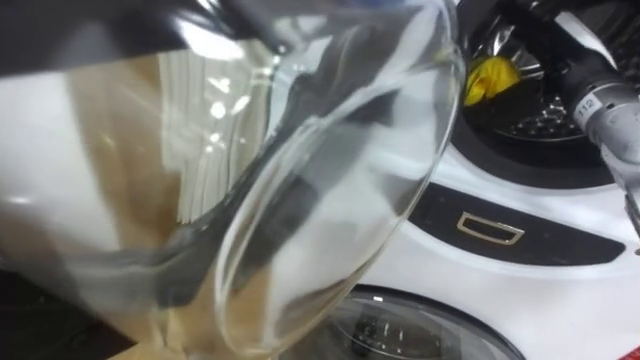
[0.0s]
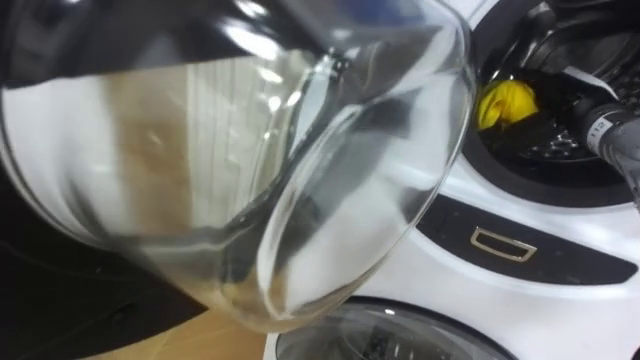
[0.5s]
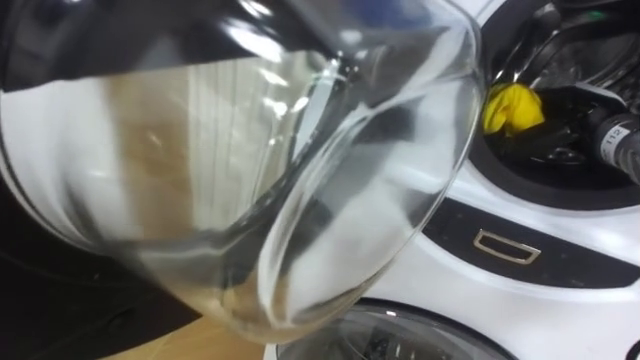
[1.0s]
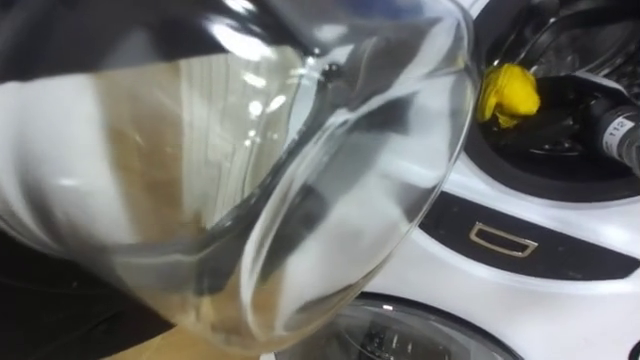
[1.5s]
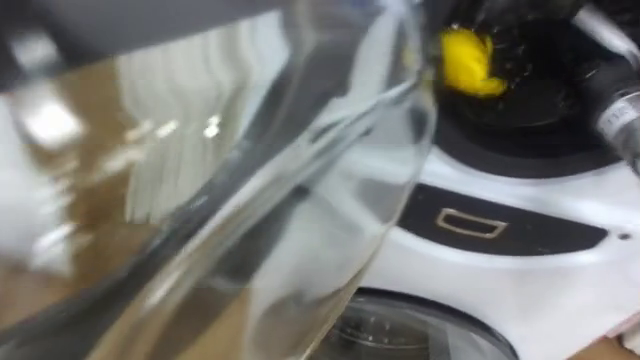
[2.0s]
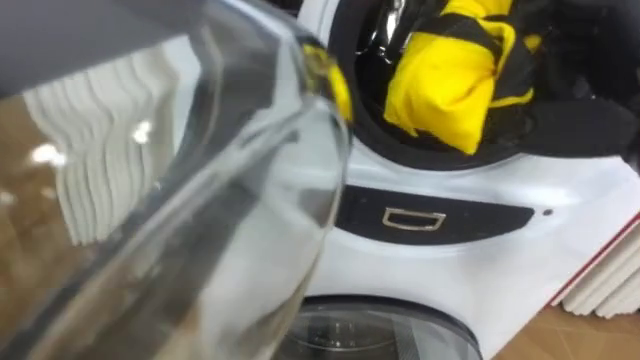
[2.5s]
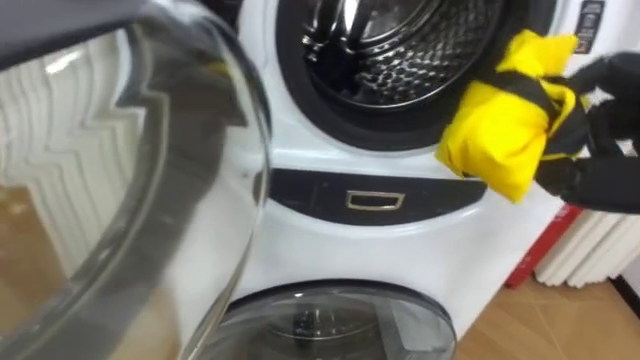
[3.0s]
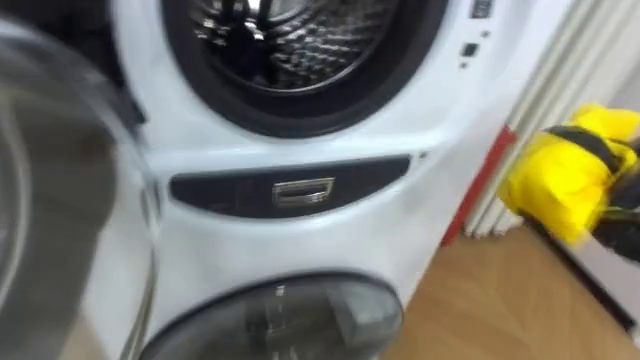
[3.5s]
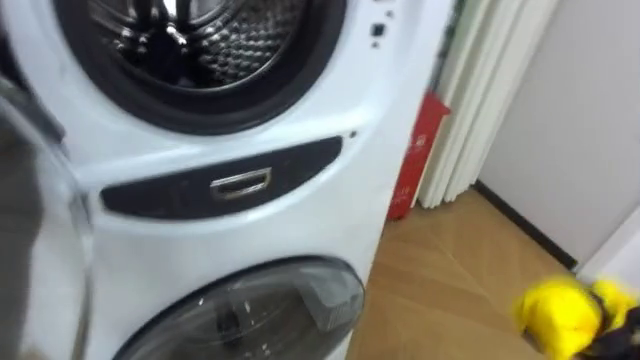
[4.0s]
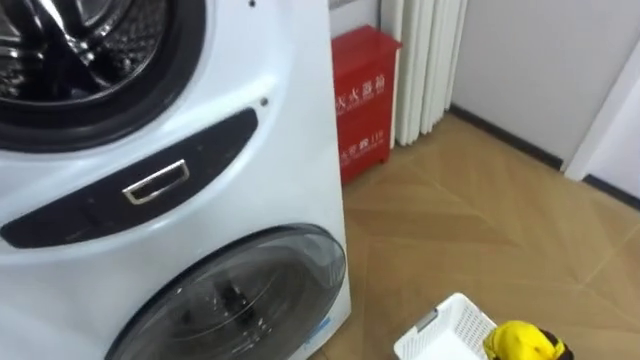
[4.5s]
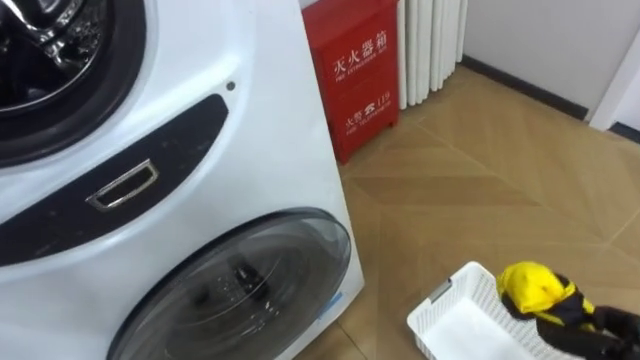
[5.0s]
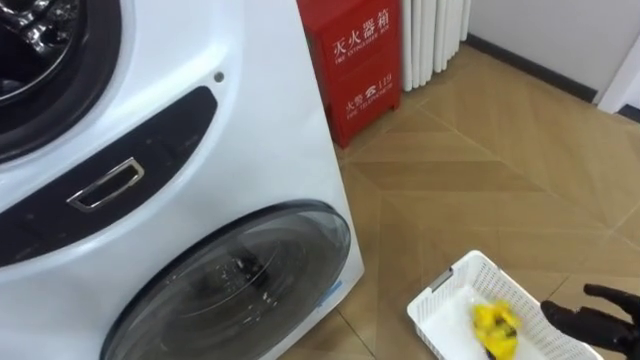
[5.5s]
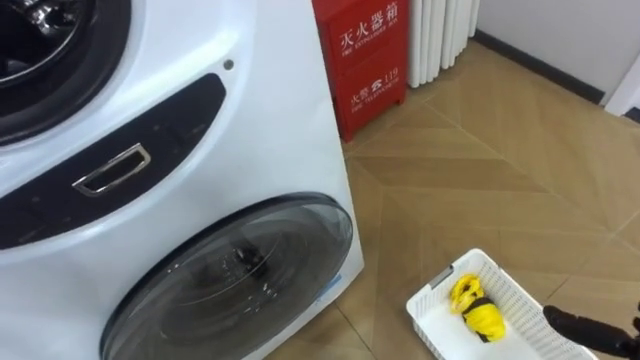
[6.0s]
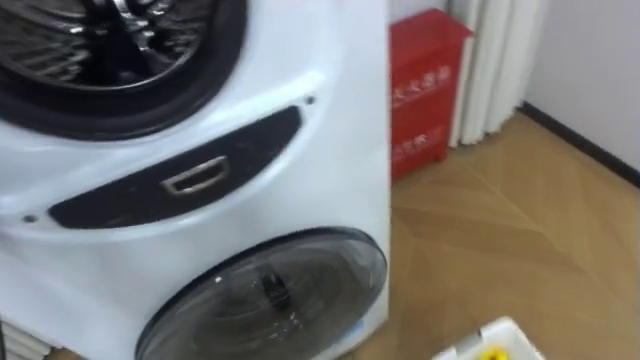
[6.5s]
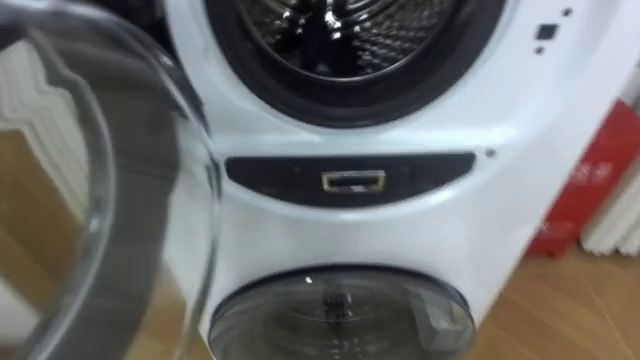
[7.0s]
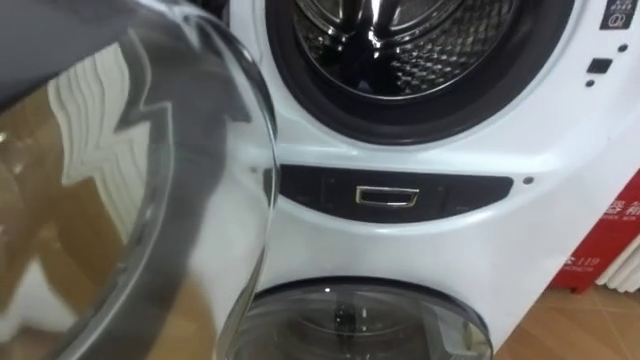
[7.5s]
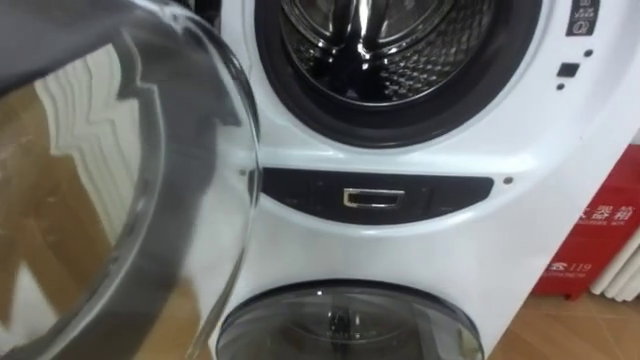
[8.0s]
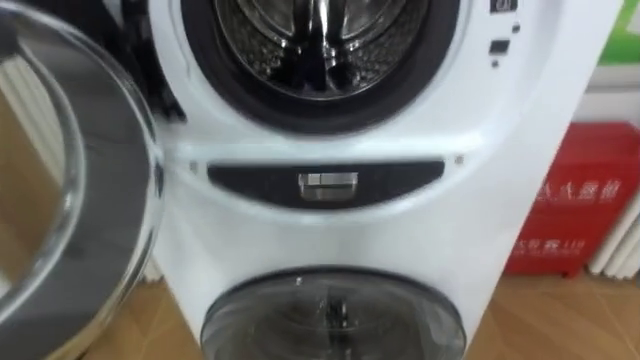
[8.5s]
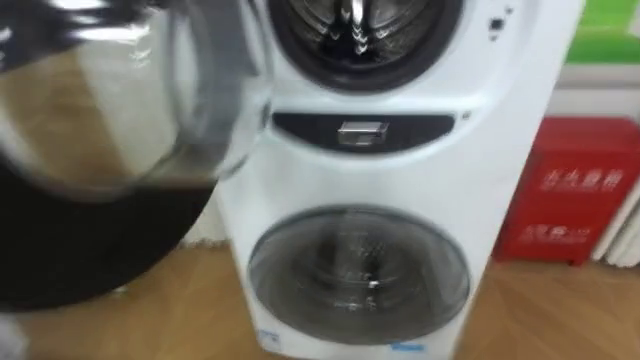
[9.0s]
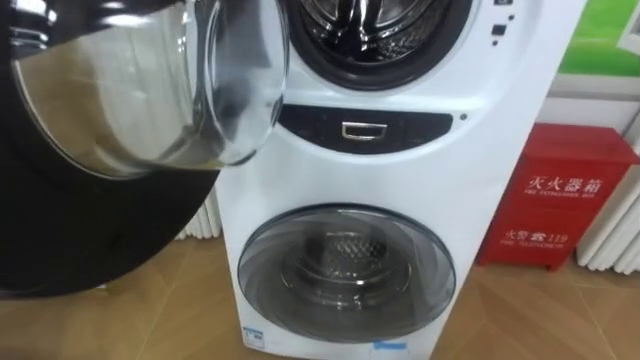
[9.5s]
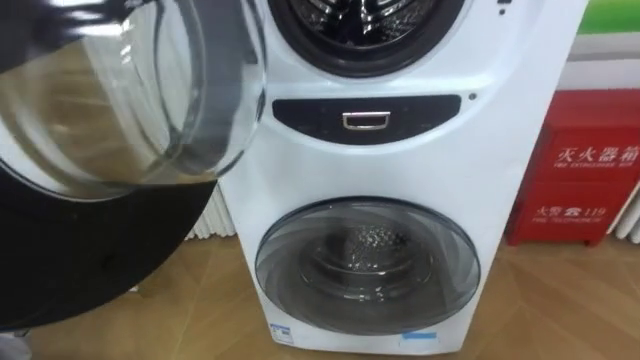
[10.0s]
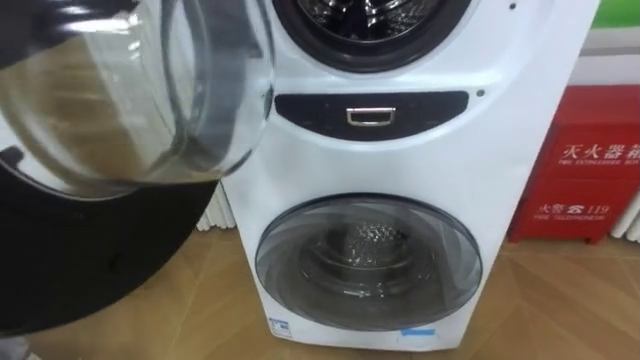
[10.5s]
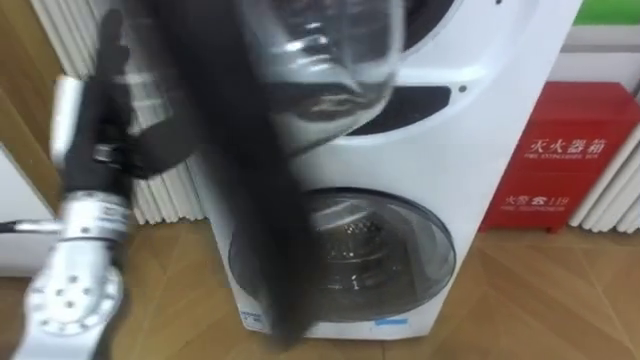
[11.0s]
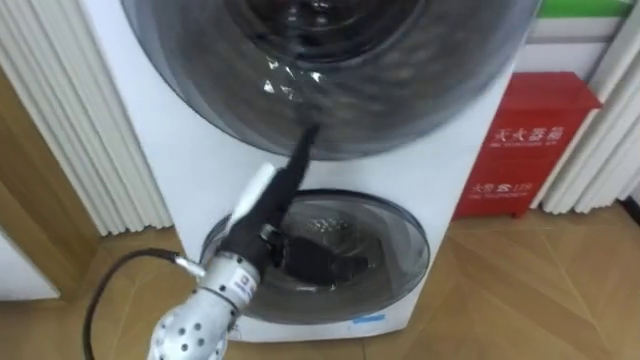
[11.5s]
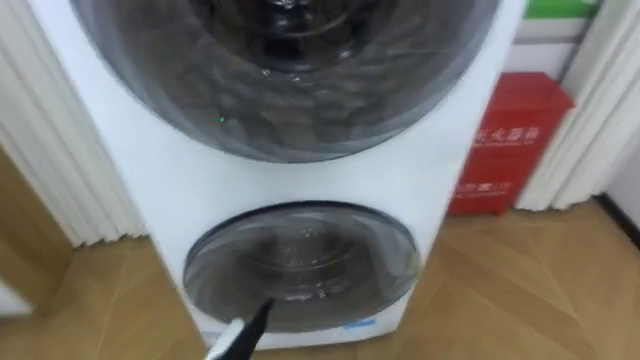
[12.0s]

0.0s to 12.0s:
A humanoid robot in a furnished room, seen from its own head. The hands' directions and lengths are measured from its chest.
Task of the whole recording: Open the washing machine door, take out the yellow clothes, place them in the box on the right, and close the washing machine door.
0.0s to 2.0s: The right hand moves some 10 cm downward and comes back, and closes.

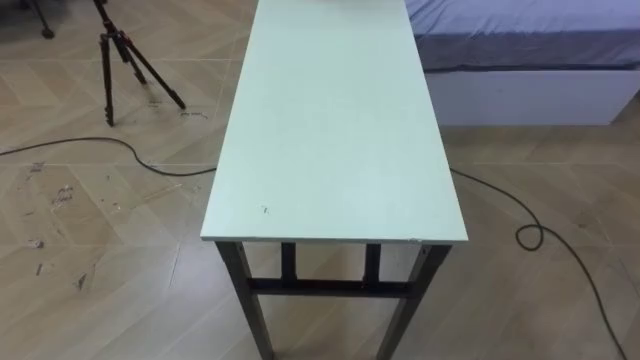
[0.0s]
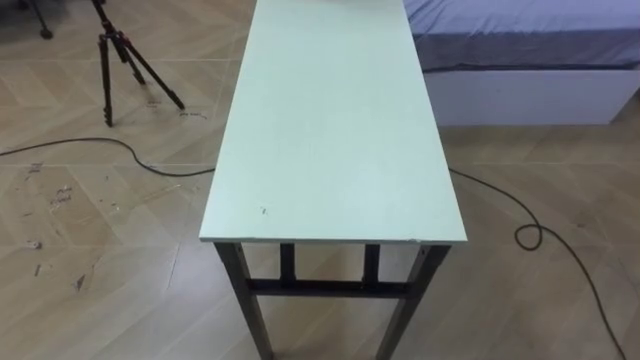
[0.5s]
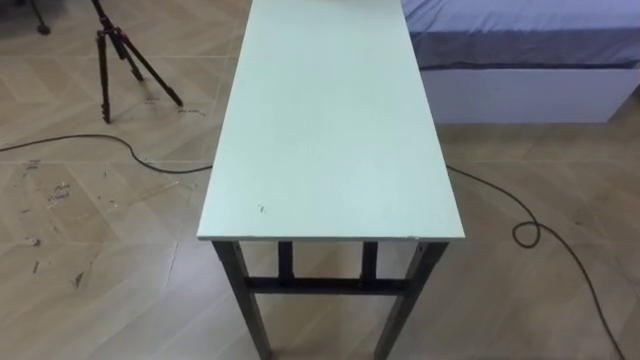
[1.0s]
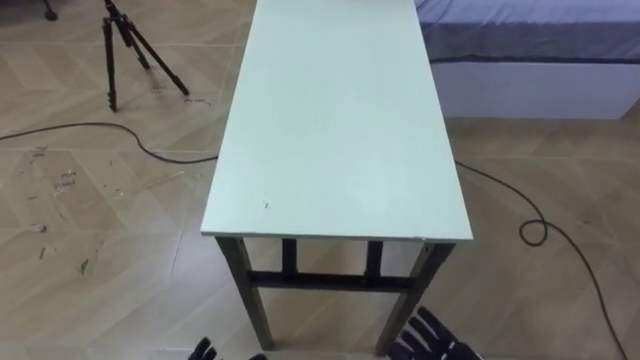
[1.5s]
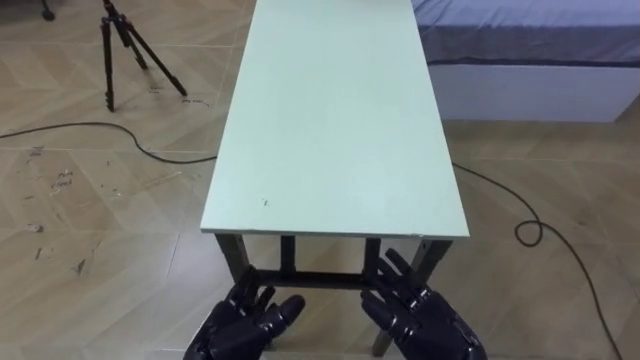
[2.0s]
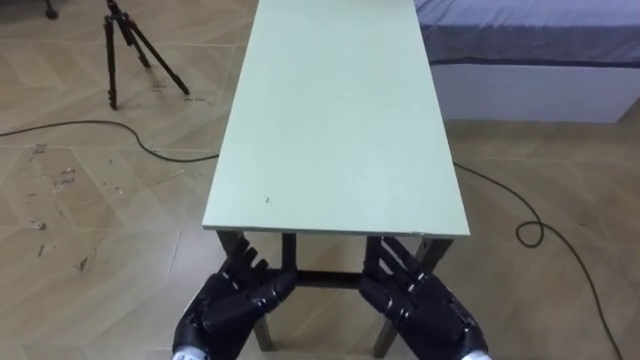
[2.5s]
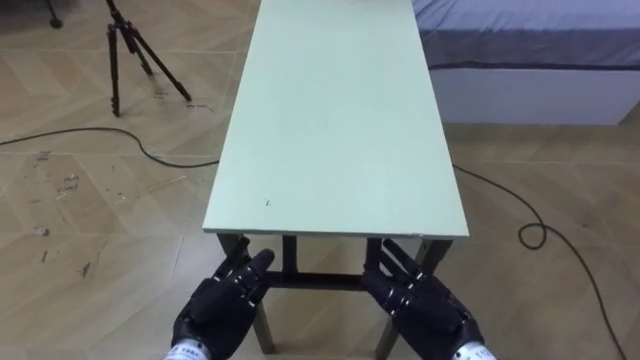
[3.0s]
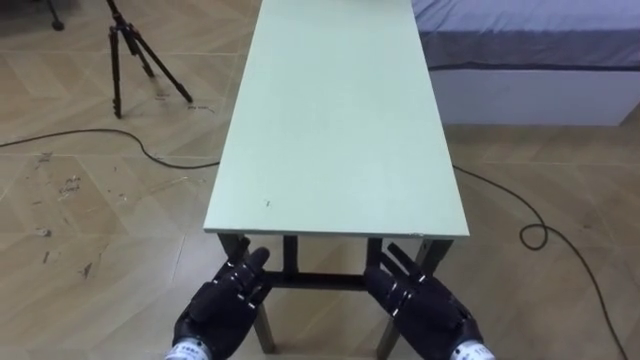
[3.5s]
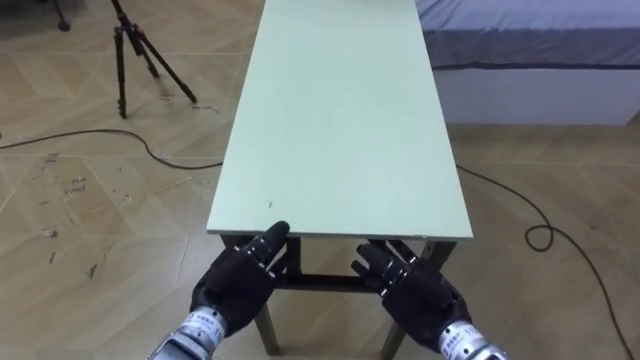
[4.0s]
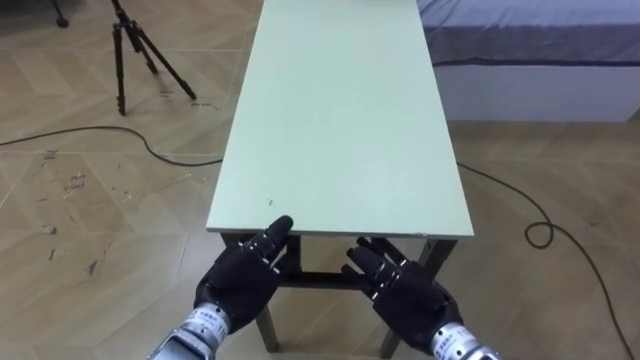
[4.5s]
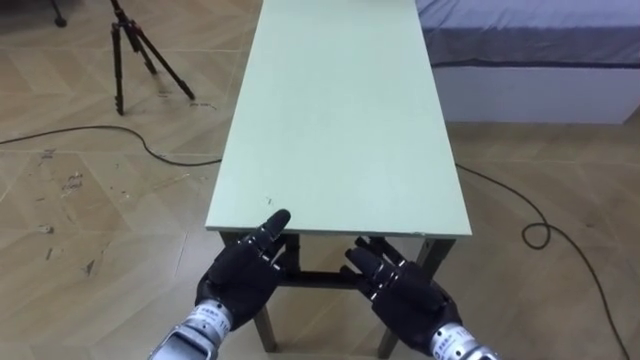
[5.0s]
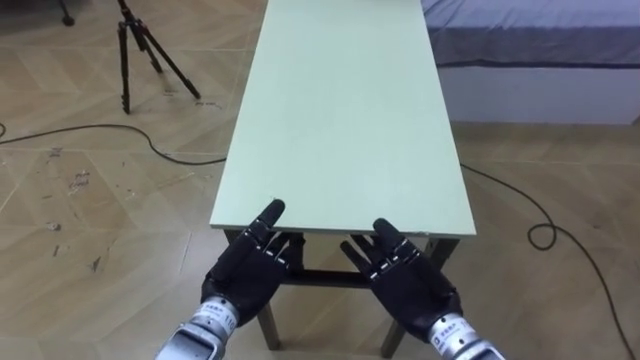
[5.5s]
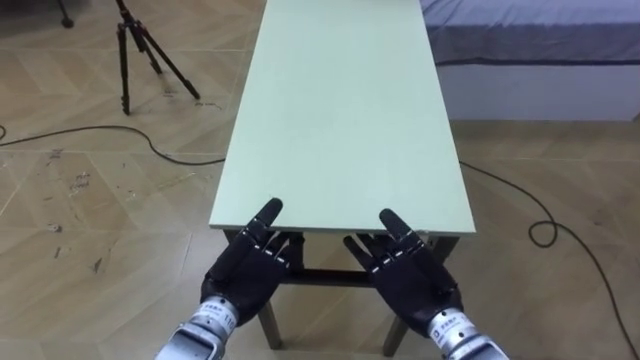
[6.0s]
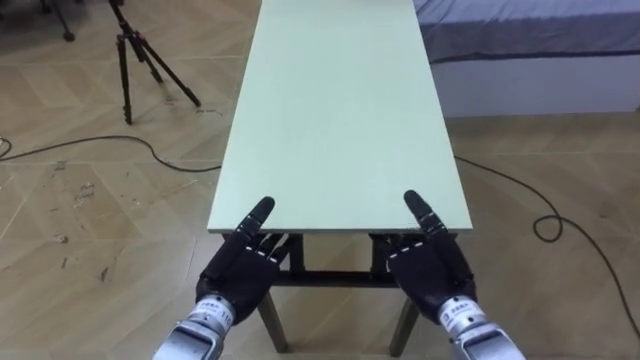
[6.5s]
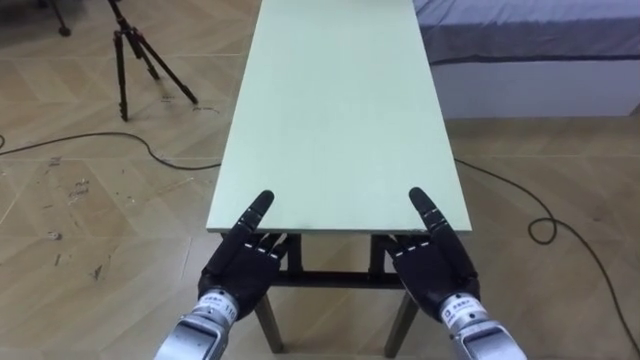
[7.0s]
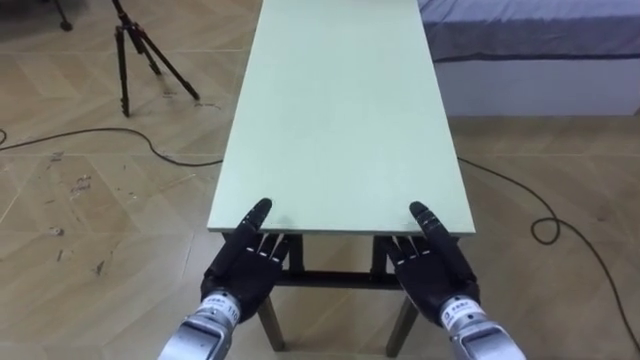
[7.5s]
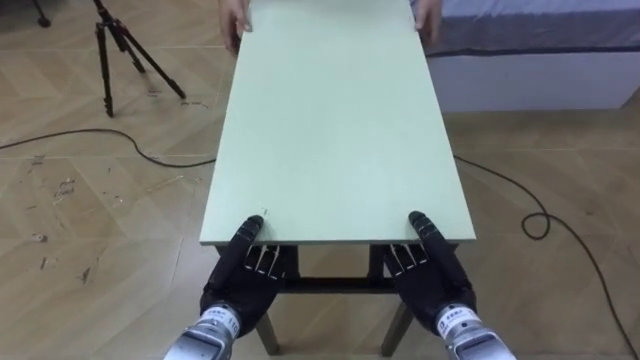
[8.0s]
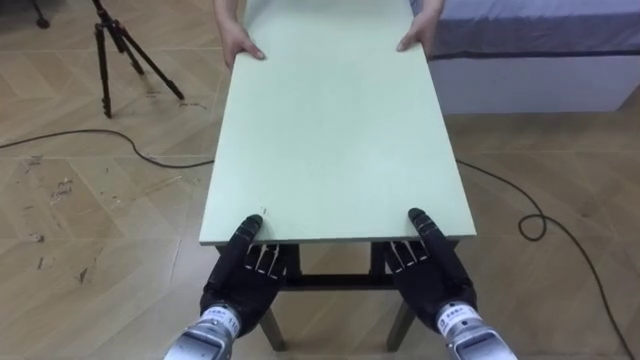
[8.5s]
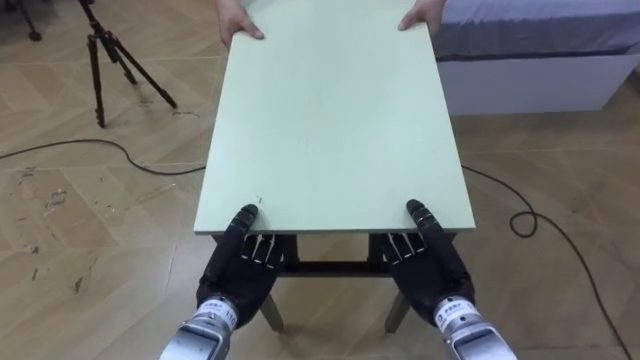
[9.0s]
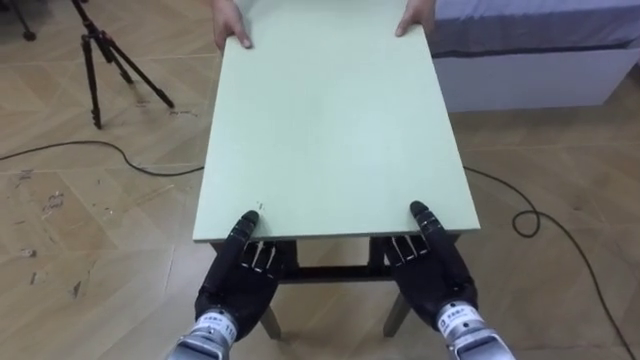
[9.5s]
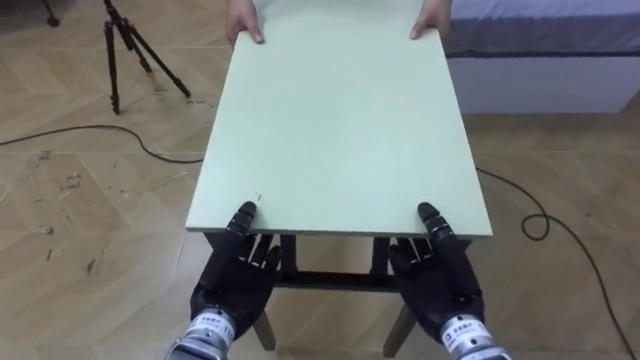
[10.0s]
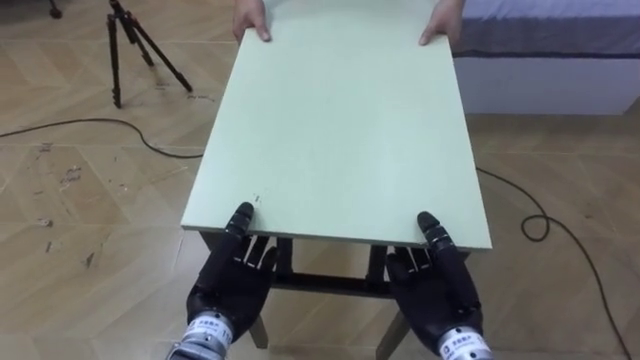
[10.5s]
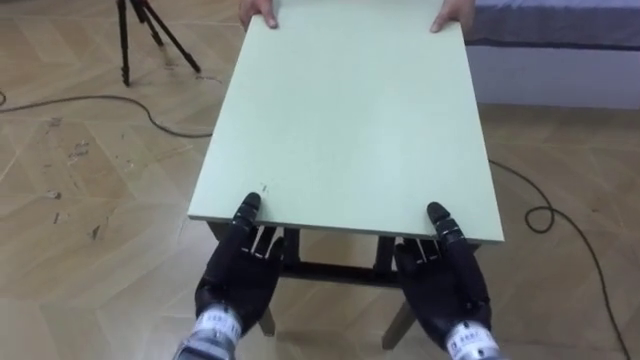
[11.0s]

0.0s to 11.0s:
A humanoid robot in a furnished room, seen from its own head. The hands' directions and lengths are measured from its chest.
Task of the whole recording: Move the table to the back left with someone.
3.5s to 5.5s: The left hand ends up roughly 5 cm from where it was.
7.5s to 9.0s: The hands make only small movements.
